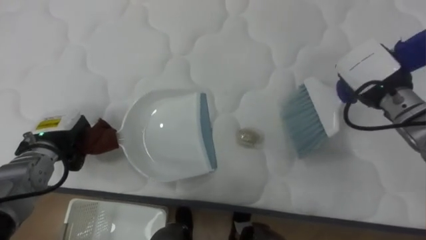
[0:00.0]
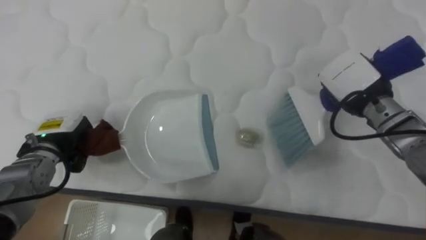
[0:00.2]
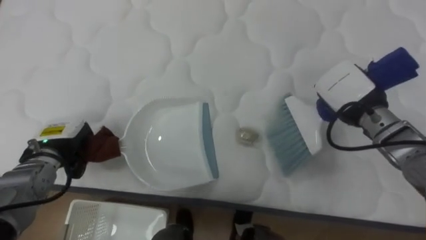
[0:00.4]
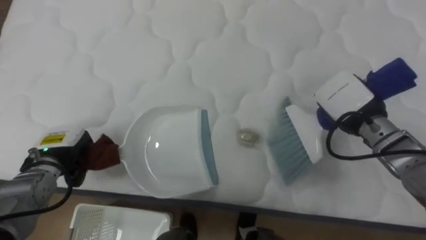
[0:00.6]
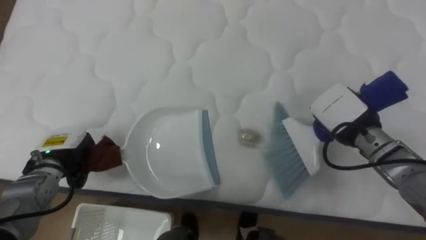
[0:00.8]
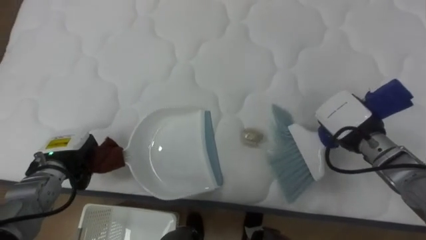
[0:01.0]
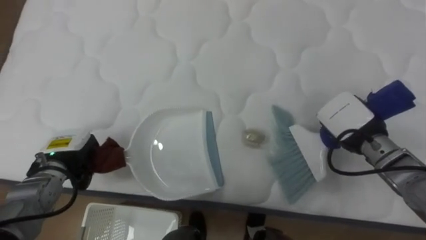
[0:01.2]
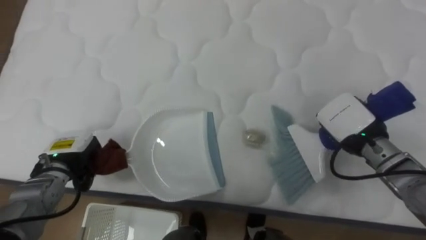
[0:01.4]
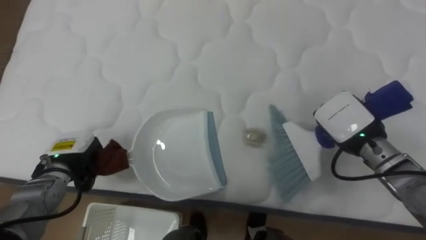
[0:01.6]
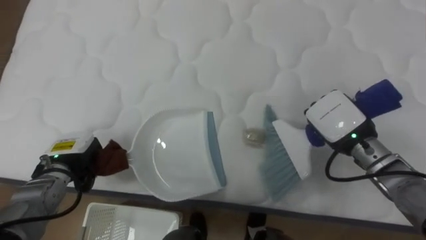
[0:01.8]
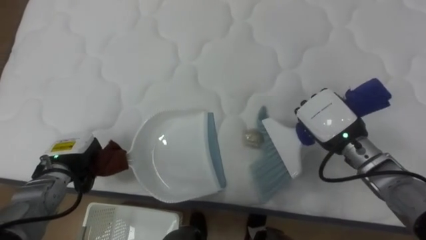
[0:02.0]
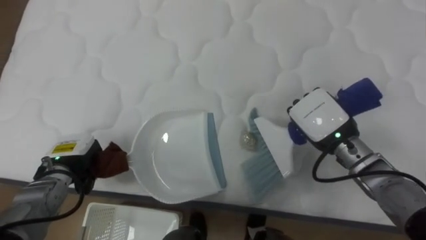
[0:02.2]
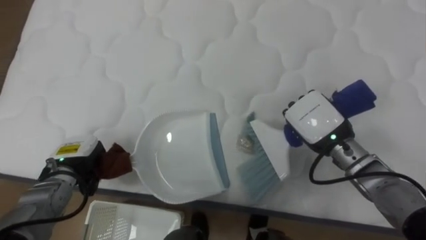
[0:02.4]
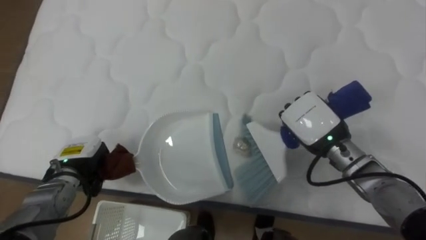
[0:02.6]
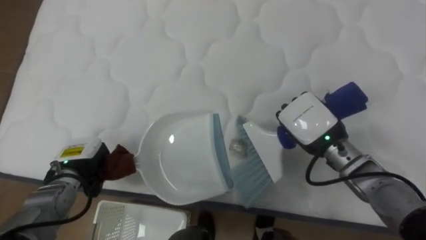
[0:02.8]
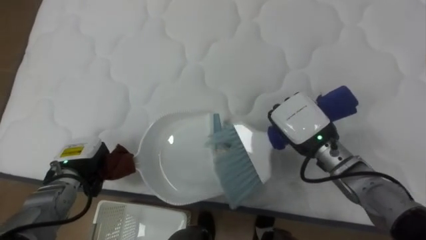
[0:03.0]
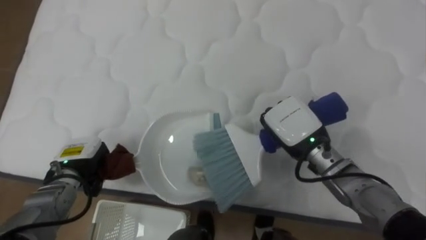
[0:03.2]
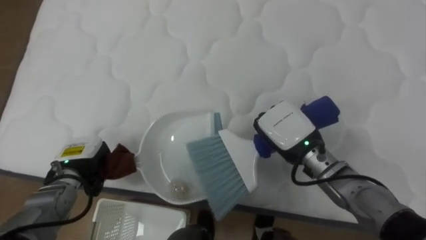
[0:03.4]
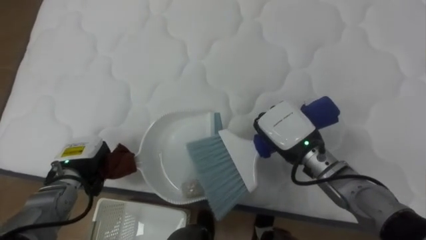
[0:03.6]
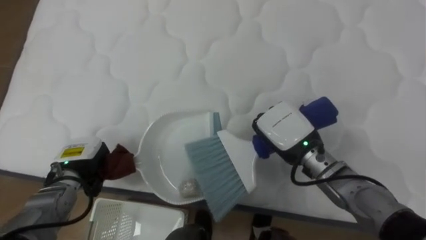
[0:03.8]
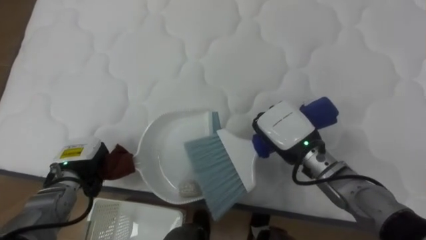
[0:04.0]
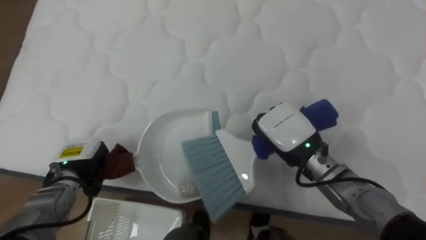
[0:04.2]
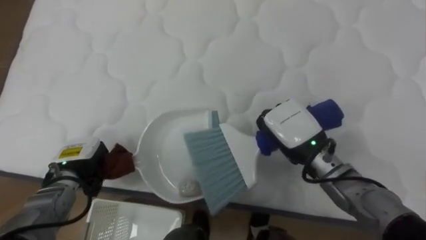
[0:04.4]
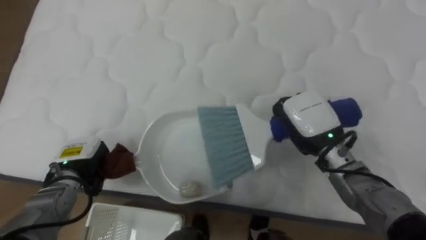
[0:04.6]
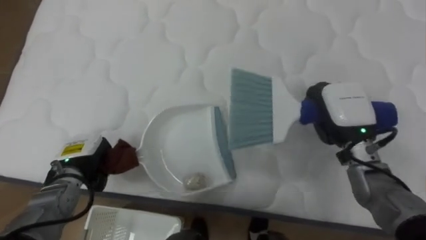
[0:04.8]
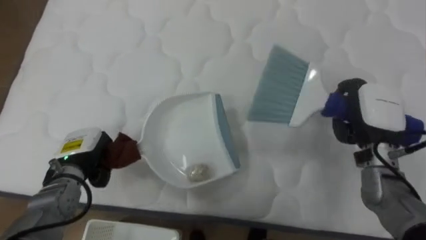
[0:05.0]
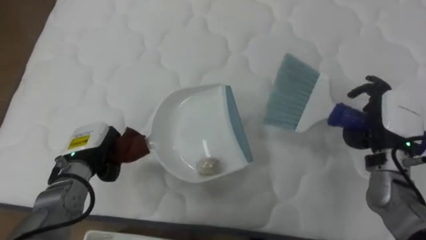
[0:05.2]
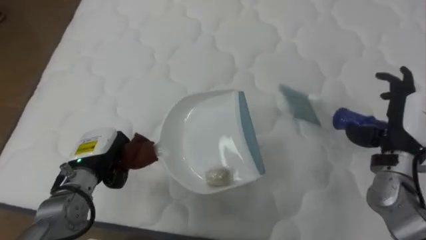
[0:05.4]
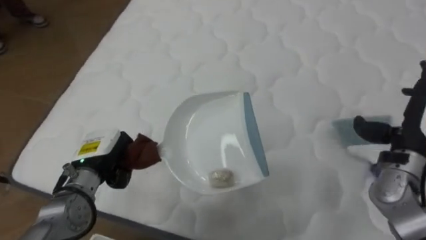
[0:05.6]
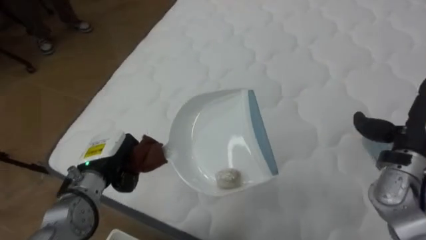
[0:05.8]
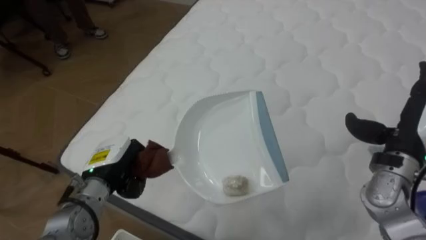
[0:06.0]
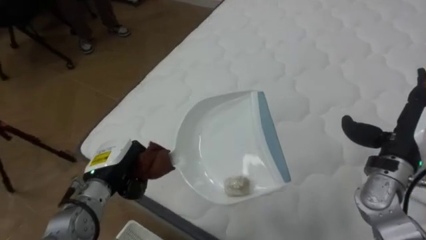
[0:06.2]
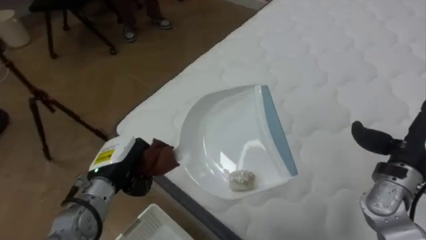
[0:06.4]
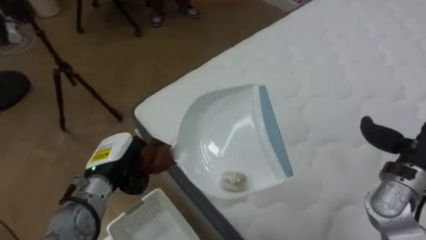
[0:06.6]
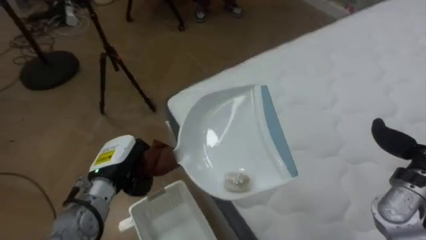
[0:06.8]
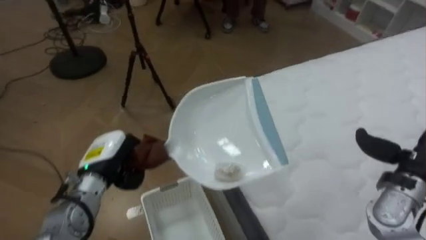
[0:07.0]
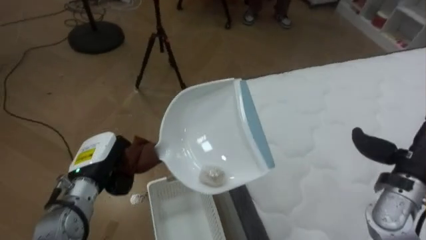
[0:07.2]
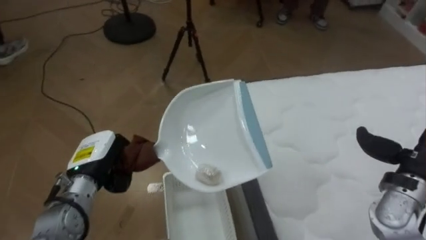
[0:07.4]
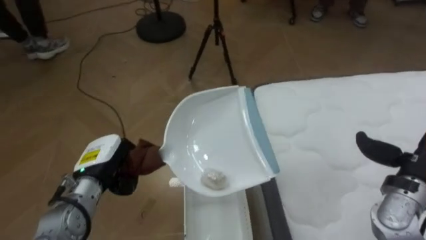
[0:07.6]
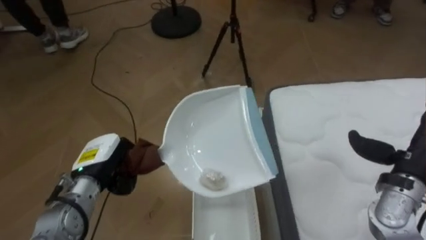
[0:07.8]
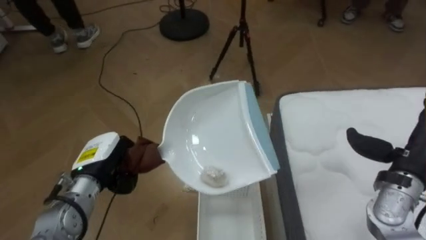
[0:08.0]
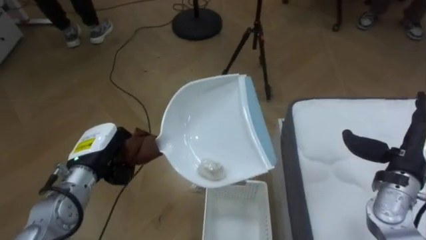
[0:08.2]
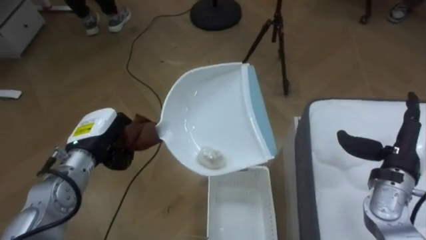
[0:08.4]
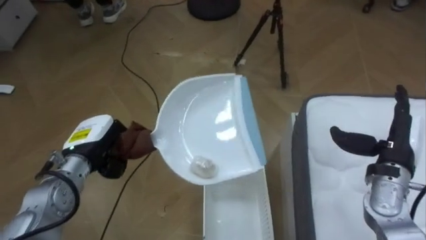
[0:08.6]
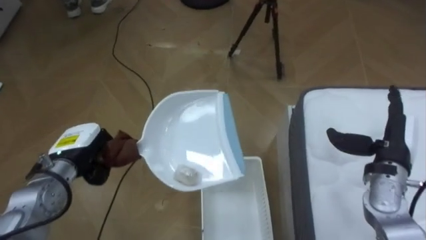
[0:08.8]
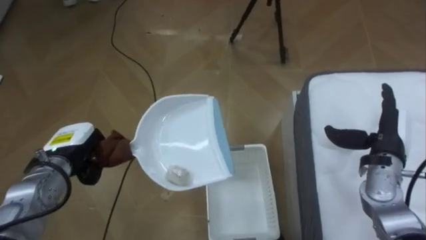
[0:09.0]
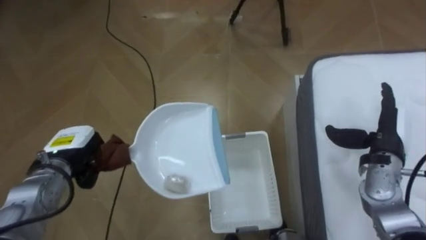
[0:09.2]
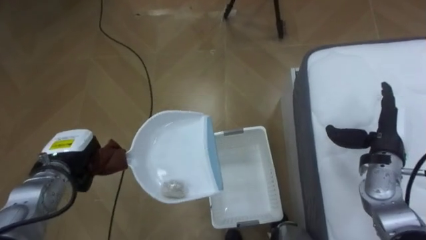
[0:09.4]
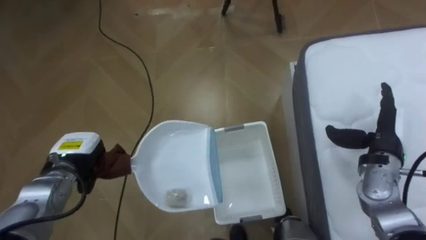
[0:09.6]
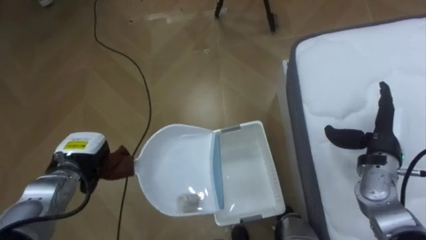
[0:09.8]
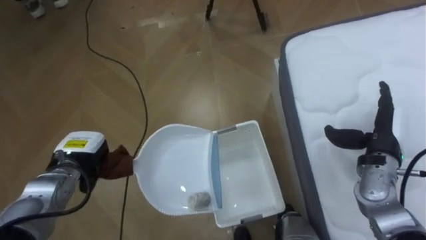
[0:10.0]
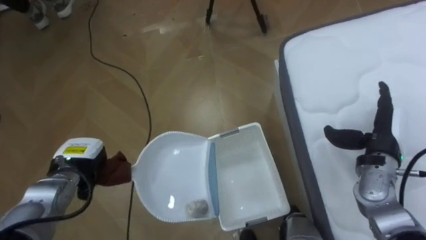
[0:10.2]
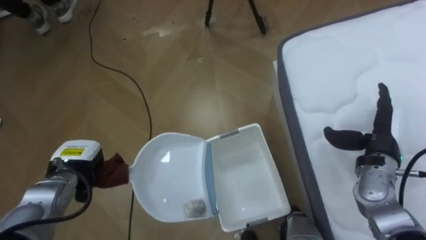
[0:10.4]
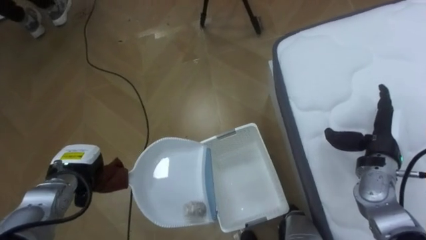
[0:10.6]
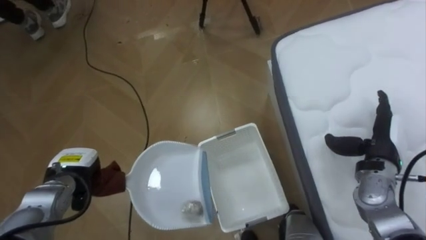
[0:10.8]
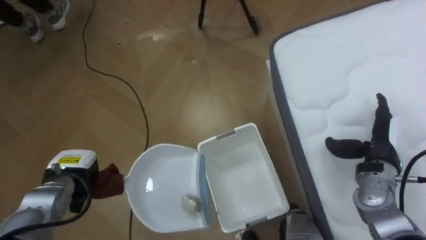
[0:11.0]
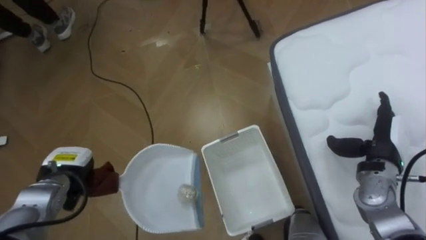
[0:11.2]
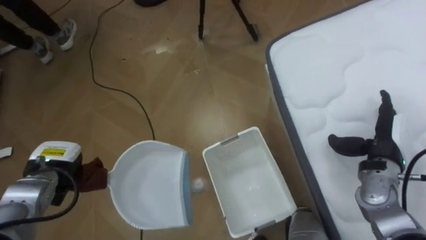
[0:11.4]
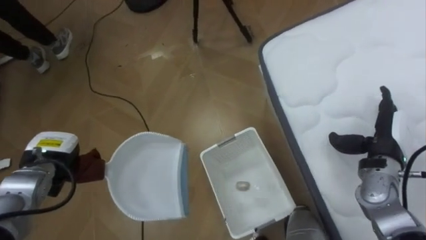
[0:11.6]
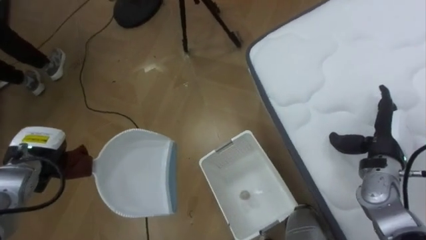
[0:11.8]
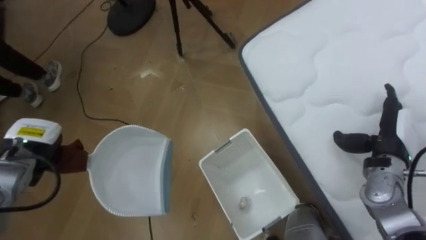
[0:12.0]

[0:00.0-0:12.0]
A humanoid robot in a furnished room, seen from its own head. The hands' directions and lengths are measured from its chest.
Task of the whole recording: Pick up the brush on your right and the dustpan on your left. Use the brush to sweep the crumpled paper on the bed into the dustpan, then turn left and empty it into the basket.
0:00.0 to 0:01.6: The right hand goes some 10 cm downward and backward. Meanwhile the left hand moves about 5 cm.
0:01.6 to 0:03.0: The right hand goes about 10 cm to the left.
0:04.4 to 0:06.0: The robot's body swings some 25 degrees to its left. The right hand is displaced to the right by about 20 cm, and opens. The left hand is displaced to the right by roughly 5 cm.
0:06.0 to 0:07.6: The robot turns to its left by approximately 60 degrees.
0:07.6 to 0:09.0: The right hand travels forward by about 5 cm, while the left hand shifts roughly 5 cm to the left.
0:10.4 to 0:12.0: The left hand is displaced to the left and upward by about 10 cm.

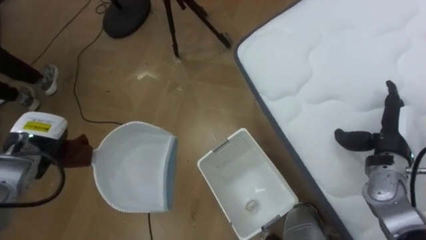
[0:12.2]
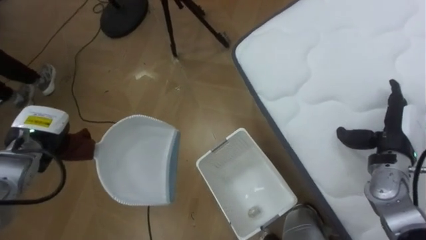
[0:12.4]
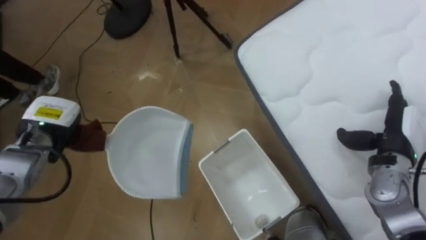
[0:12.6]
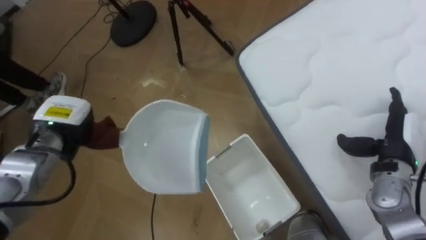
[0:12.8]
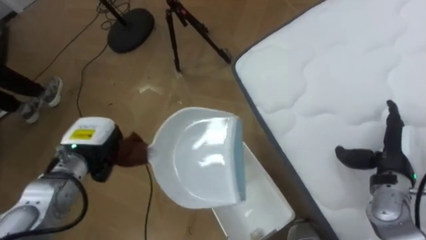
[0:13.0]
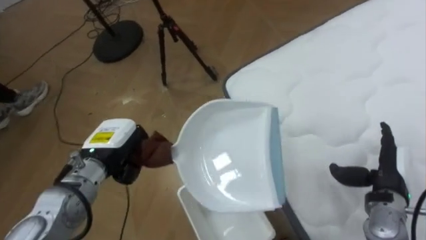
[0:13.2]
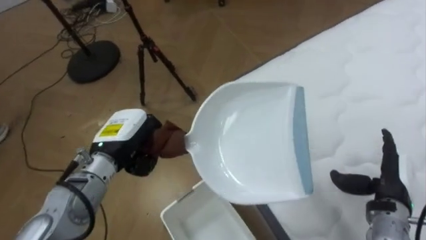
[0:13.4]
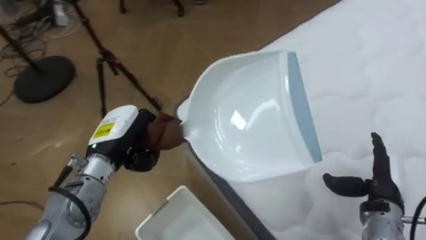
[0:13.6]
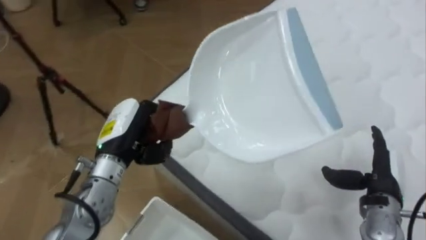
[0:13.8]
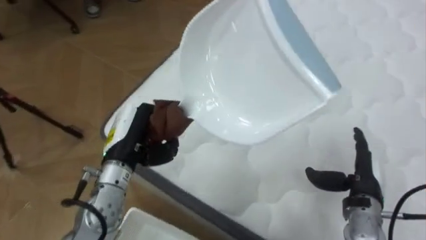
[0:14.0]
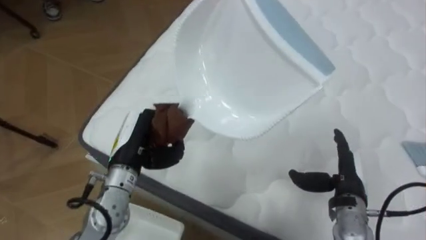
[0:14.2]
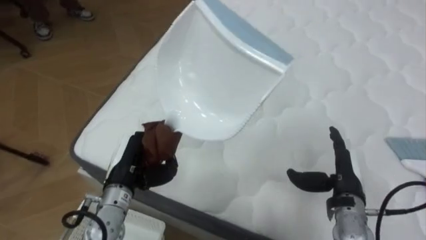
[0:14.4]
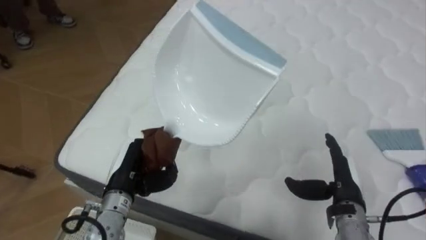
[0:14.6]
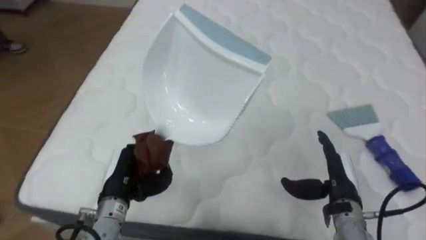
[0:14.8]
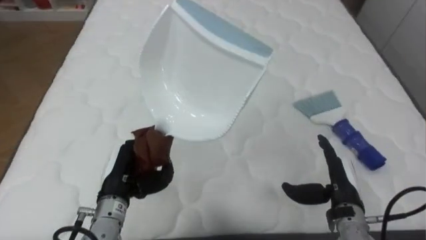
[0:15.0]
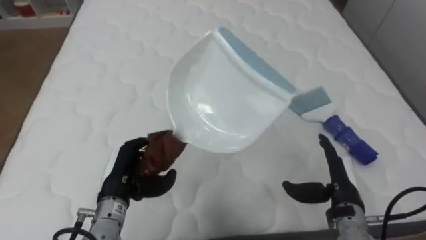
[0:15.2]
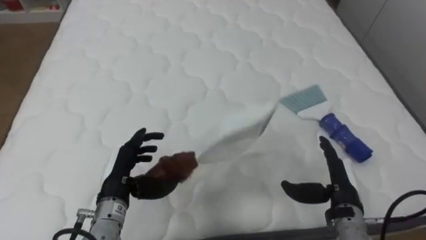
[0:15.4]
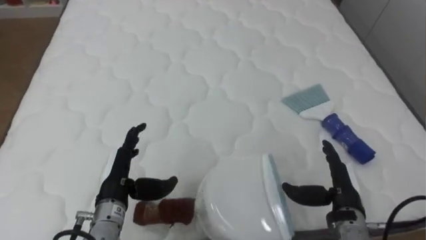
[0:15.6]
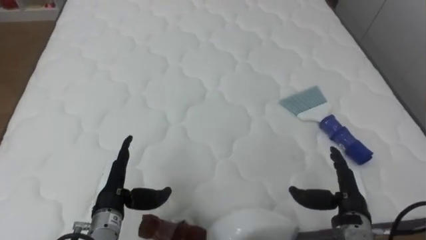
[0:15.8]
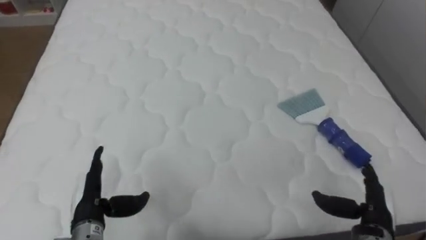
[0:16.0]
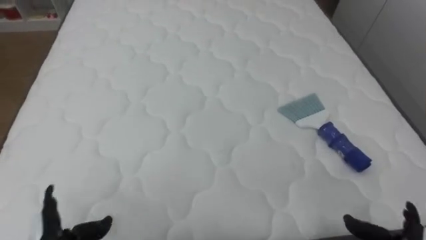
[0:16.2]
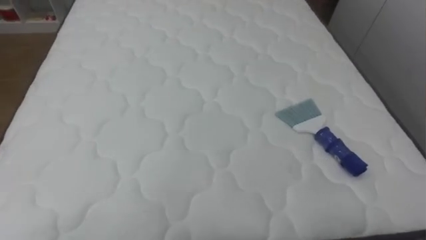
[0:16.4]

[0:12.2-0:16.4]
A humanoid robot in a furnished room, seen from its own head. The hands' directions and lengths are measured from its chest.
Task of the whole recording: Pick up the brush on your right and the dustpan on your left. Use the brush to sweep the crumpled paper on the bed into the dustpan, then turn left and empty it into the basket.
0:12.2 to 0:13.6: The left hand heads to the right, covering some 15 cm, while the right hand shifts roughly 10 cm backward and downward.
0:13.6 to 0:15.0: The robot rotates roughly 60 degrees to its right. The left hand heads downward, covering about 5 cm; the right hand heads to the left, covering roughly 10 cm.
